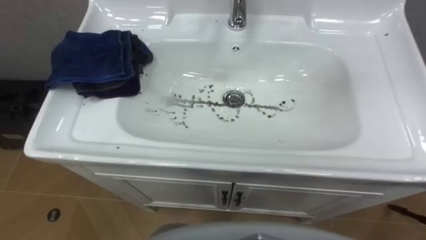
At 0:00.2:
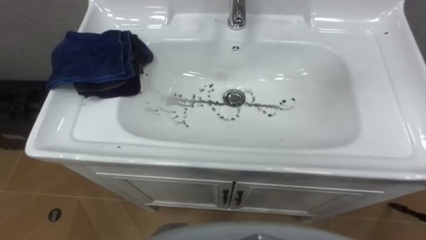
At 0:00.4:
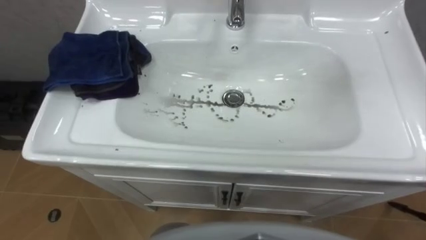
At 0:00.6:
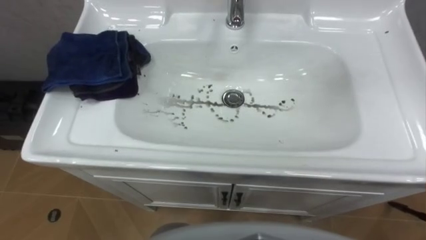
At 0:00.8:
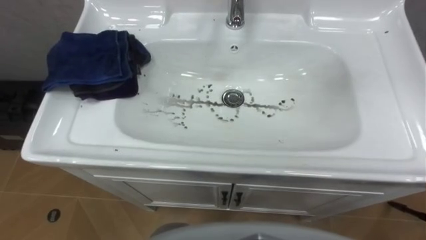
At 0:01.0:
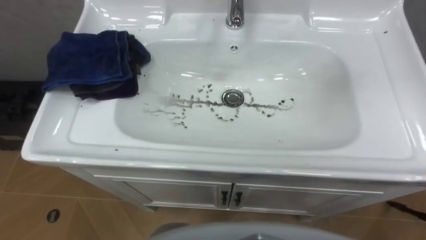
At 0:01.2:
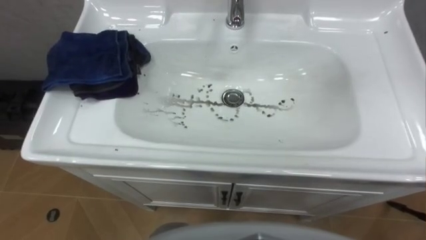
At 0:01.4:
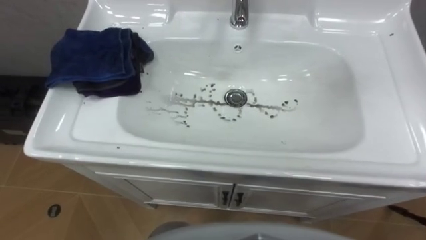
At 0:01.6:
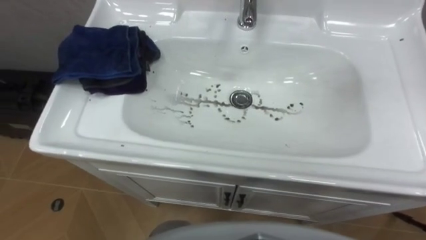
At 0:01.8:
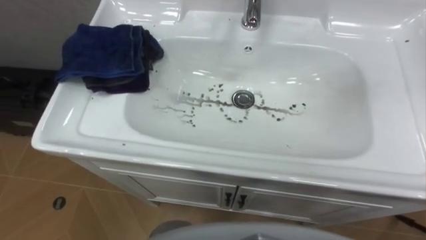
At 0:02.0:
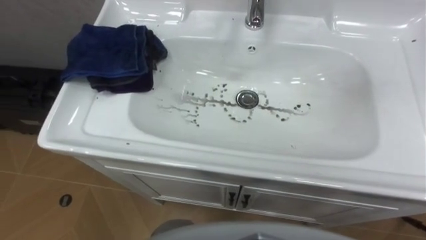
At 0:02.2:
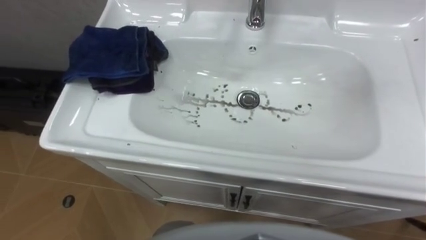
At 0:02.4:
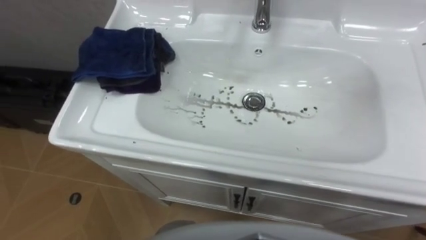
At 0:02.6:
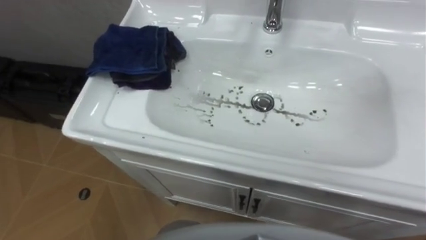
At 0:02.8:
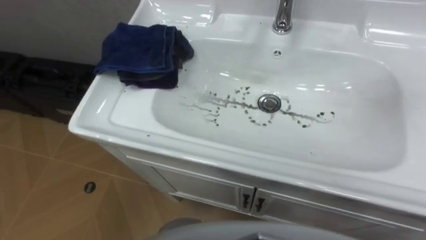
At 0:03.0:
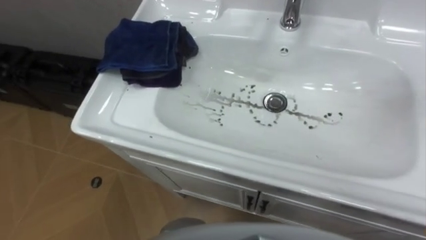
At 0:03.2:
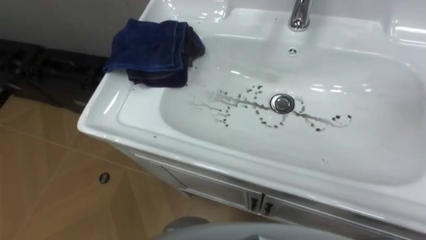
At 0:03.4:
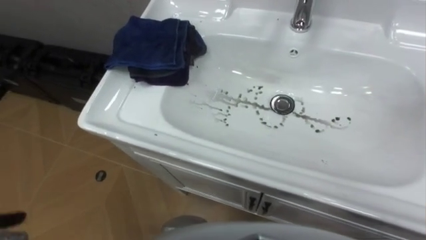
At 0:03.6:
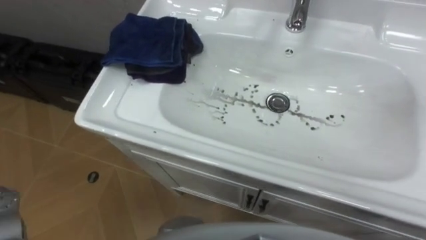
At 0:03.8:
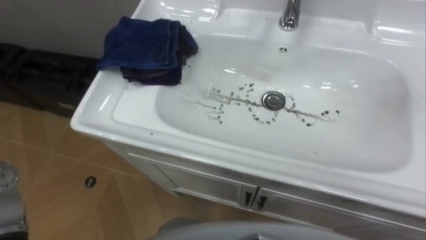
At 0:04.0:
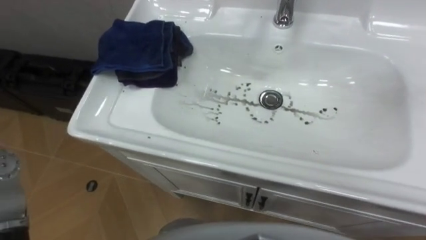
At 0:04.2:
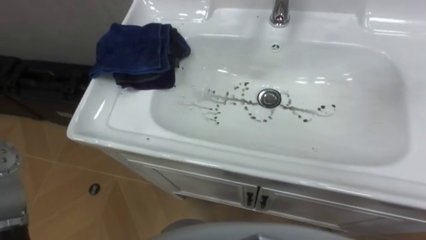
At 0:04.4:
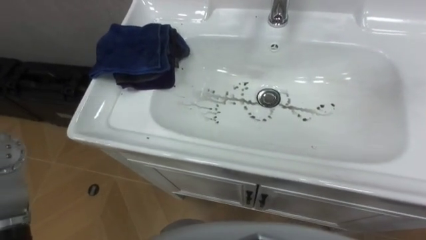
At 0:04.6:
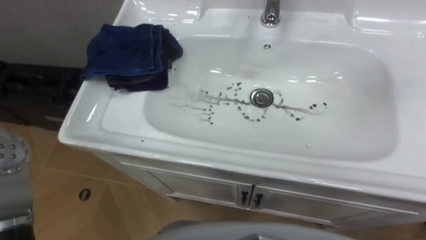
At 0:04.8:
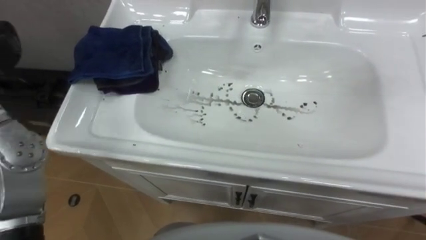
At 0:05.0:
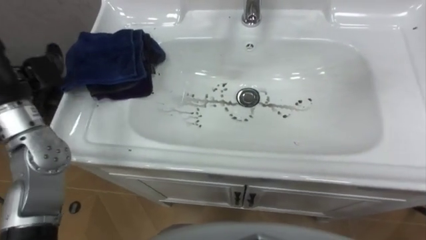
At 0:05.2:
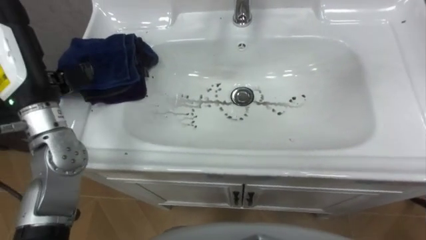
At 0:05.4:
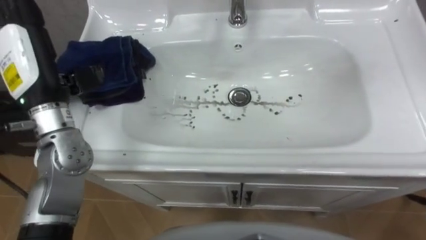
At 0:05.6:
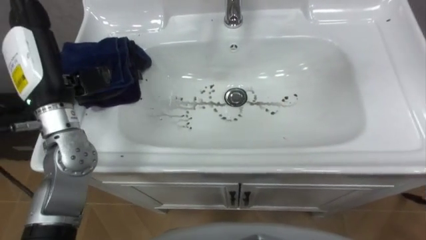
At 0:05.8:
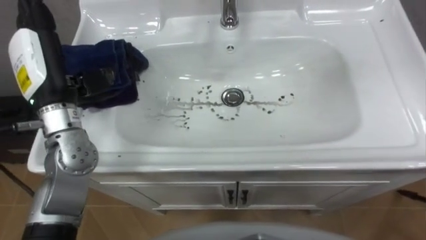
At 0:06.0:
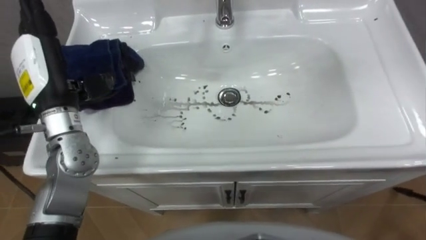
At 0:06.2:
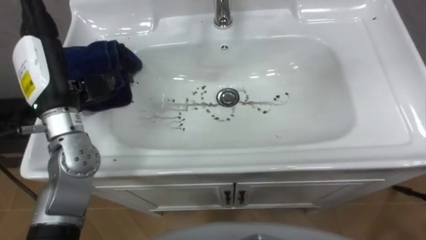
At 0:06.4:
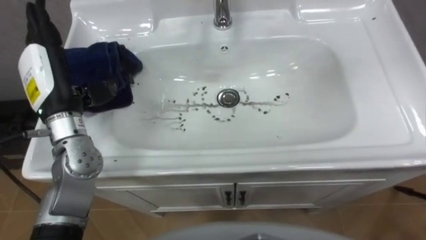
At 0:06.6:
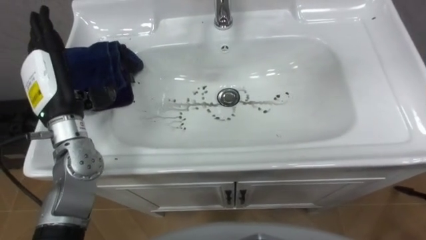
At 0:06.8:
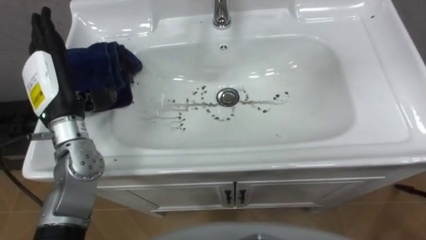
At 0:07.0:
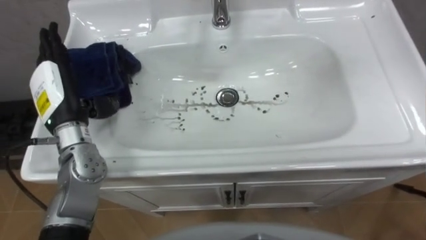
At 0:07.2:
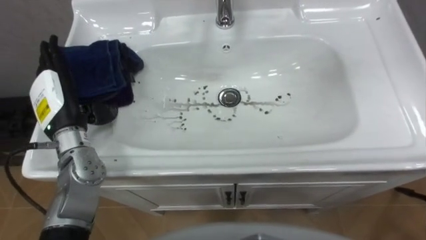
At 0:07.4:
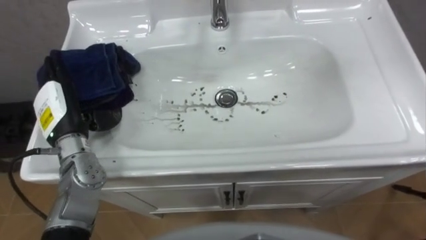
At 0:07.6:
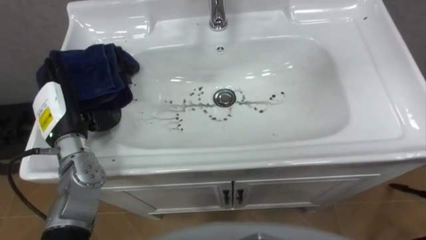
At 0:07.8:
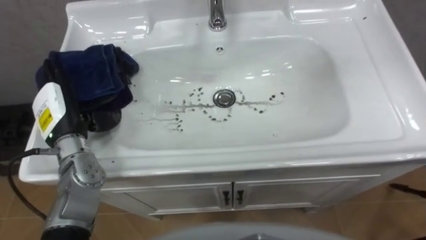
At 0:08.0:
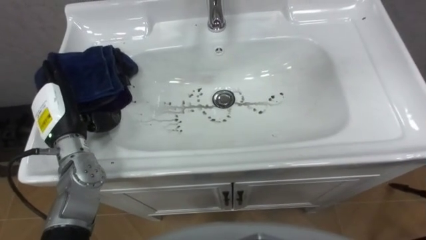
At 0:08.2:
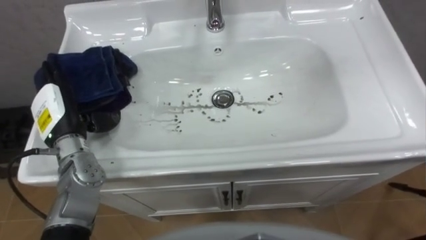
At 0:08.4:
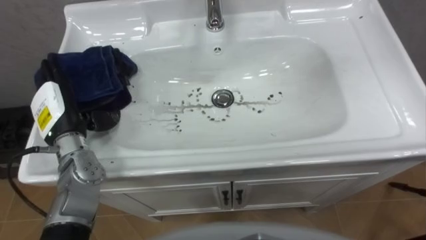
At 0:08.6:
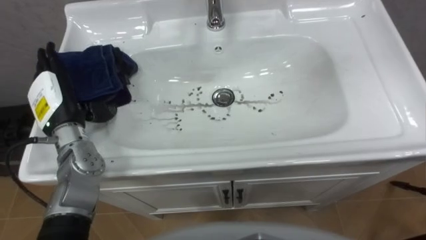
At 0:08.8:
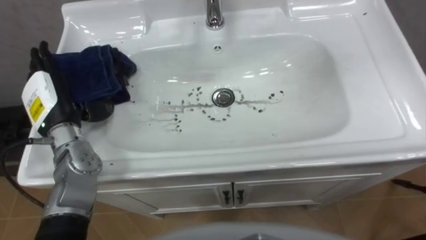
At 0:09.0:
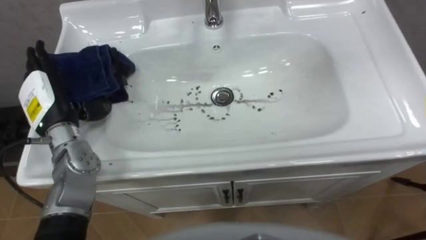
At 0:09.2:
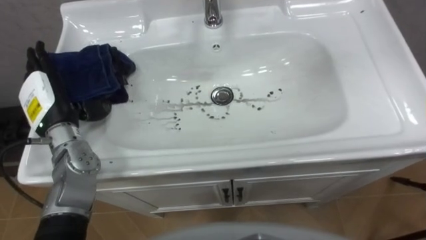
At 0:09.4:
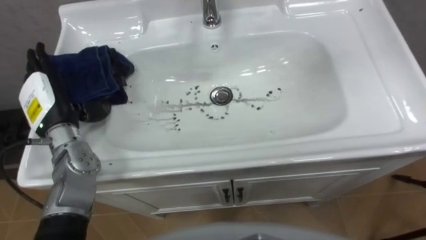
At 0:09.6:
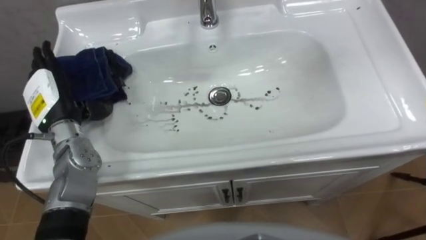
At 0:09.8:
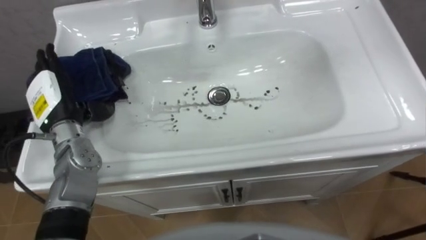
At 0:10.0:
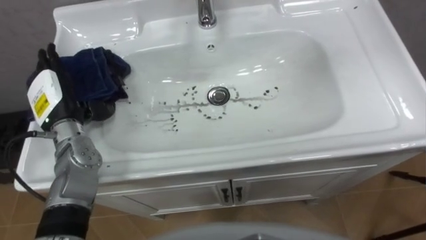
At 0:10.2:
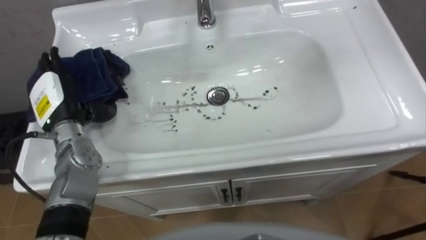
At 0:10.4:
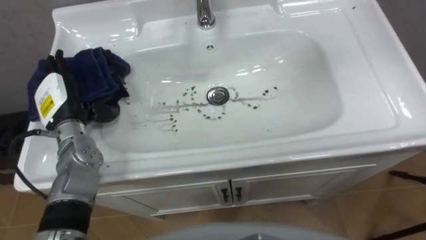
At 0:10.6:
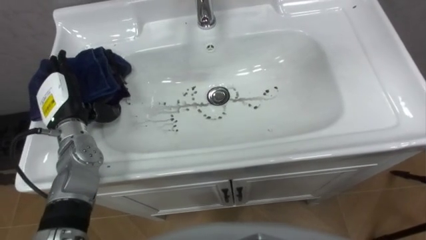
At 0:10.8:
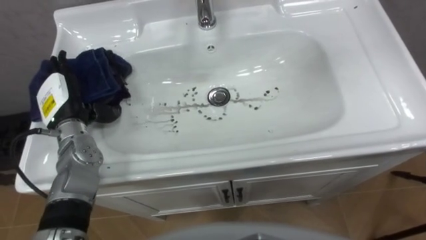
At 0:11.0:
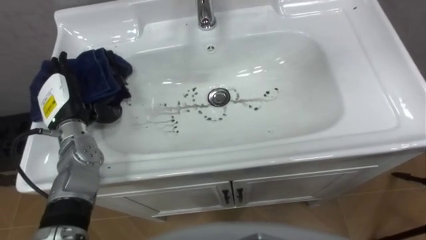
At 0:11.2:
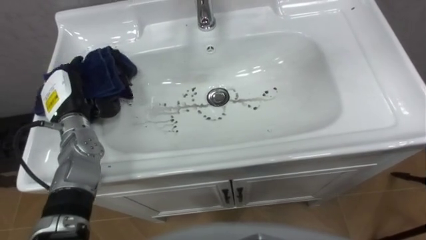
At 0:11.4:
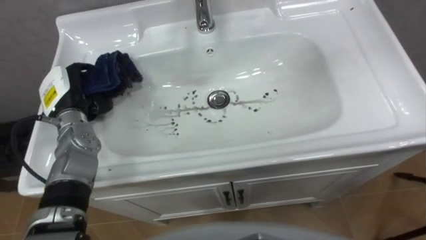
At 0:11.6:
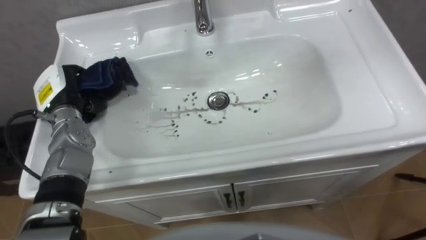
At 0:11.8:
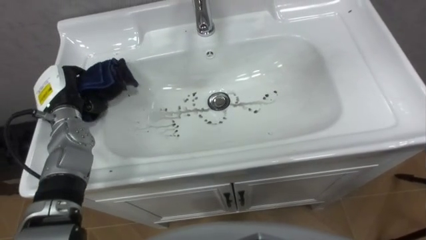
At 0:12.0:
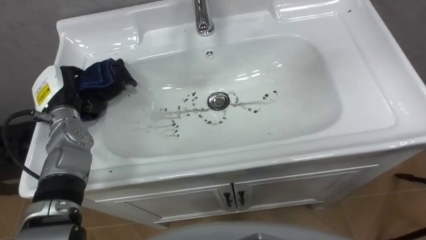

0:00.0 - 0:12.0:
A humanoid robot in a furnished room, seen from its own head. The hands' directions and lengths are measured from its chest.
Task of the whole recording: Use the cloth on the right to wipe away the black stain in the sink.
0:06.0 - 0:07.6: The left hand shifts approximately 10 cm downward.
0:10.4 - 0:12.0: The left hand closes.

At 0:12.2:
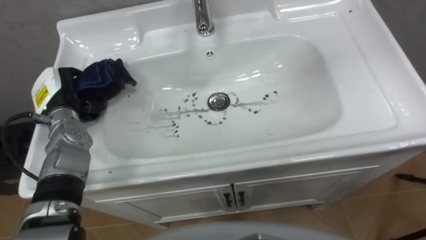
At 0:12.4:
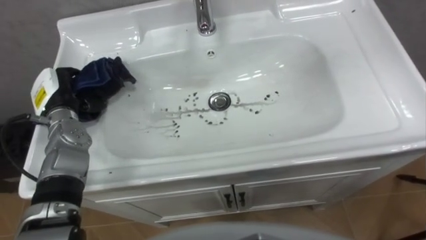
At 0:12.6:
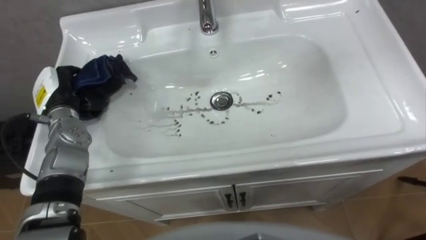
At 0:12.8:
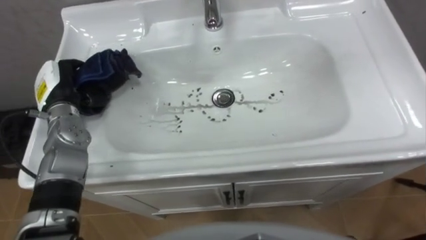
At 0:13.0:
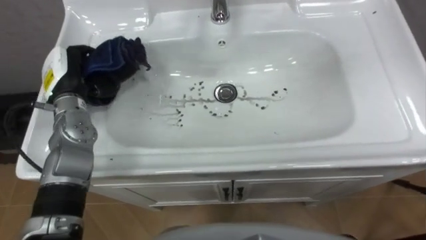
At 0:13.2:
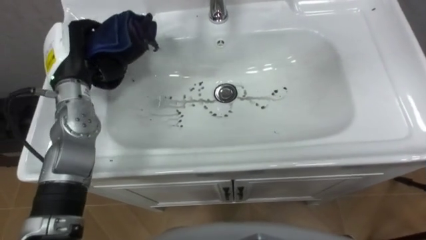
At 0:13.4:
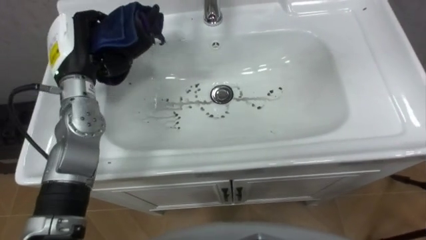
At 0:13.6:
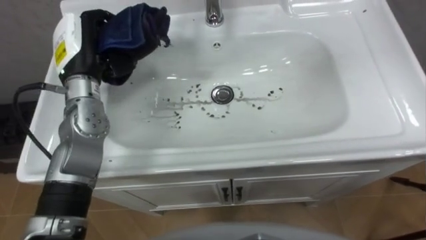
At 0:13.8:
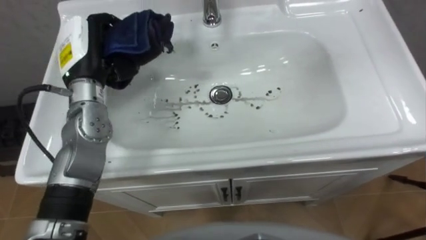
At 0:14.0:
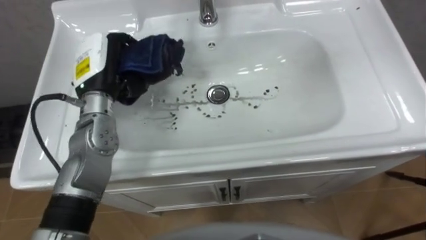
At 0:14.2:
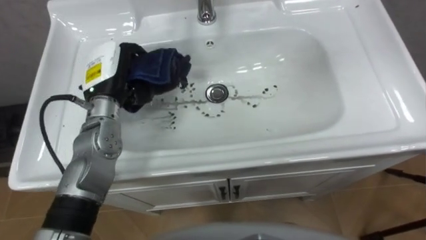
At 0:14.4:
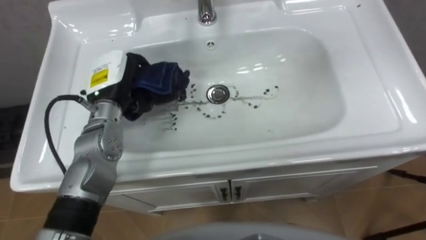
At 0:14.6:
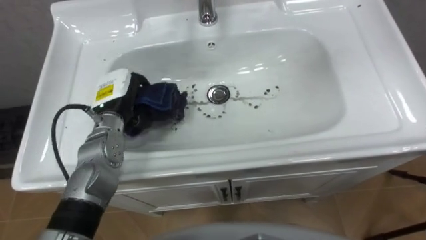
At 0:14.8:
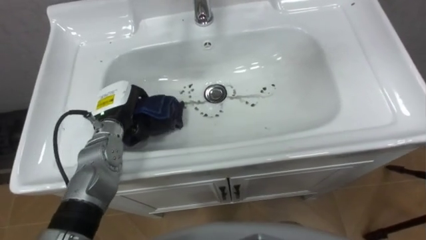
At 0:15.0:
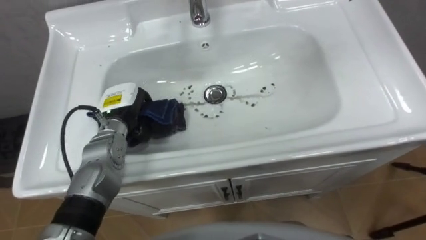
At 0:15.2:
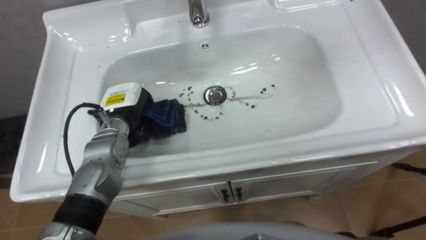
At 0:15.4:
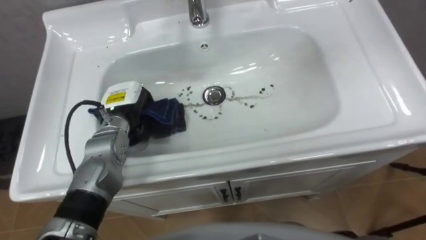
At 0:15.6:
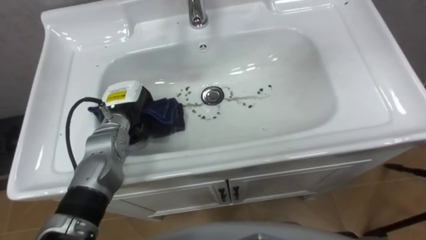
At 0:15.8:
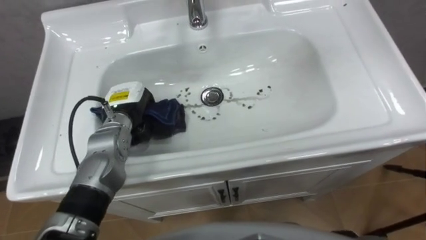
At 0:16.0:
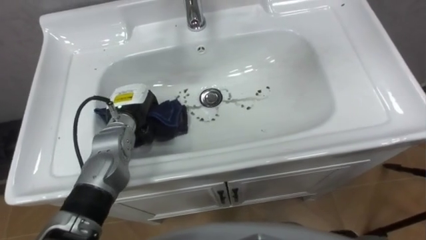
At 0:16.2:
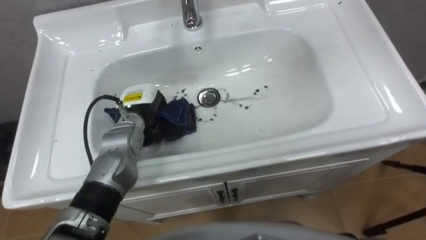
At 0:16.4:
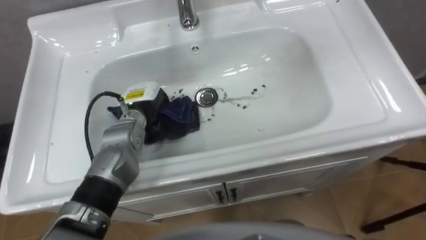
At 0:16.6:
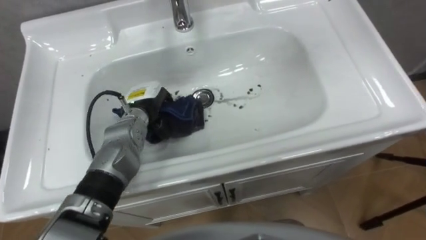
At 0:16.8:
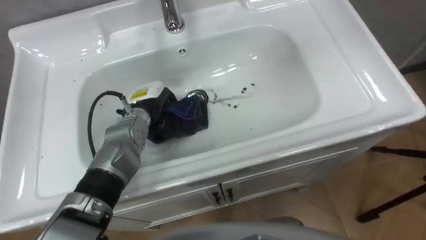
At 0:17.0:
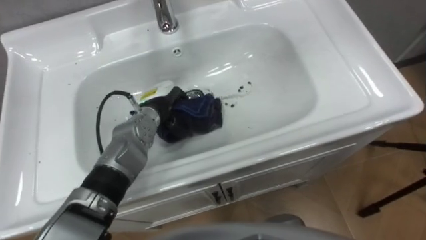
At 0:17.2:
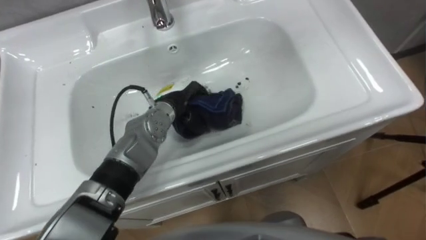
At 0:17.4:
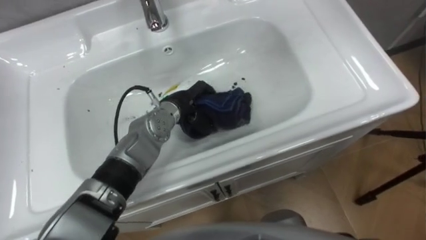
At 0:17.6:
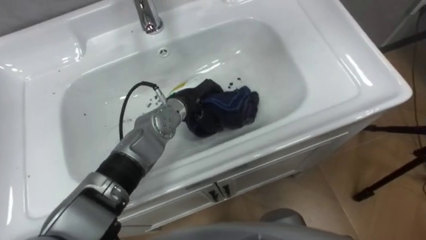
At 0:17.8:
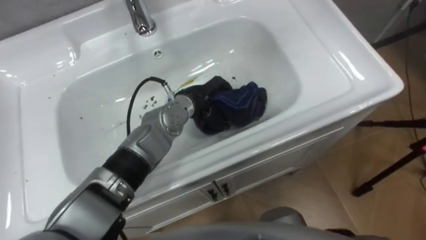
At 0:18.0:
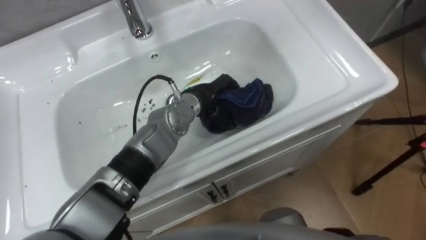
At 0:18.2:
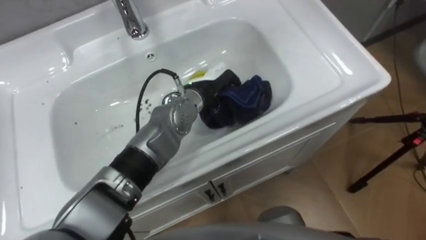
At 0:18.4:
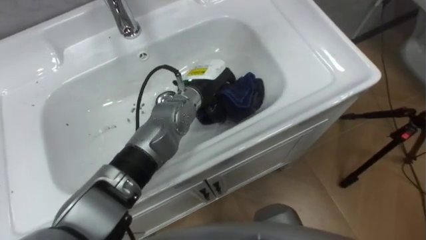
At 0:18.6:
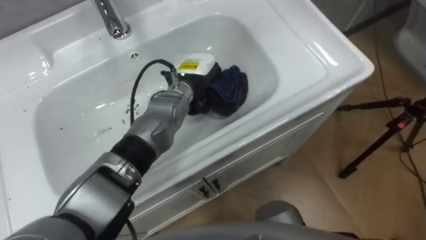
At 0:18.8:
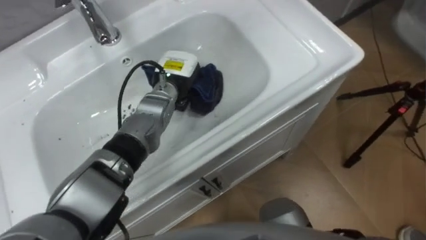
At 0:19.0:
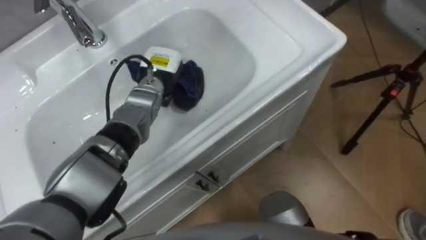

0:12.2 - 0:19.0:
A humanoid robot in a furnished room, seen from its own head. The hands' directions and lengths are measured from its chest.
Task of the whole recording: Use the cloth on the right to wipe away the black stain in the sink.
0:12.2 - 0:13.6: The left hand moves upward and to the right, approximately 15 cm.
0:13.6 - 0:15.0: The left hand travels downward by some 10 cm.
0:16.2 - 0:17.6: The left hand is displaced to the right by roughly 10 cm.
0:17.6 - 0:19.0: The left hand travels to the left and forward by roughly 10 cm.
